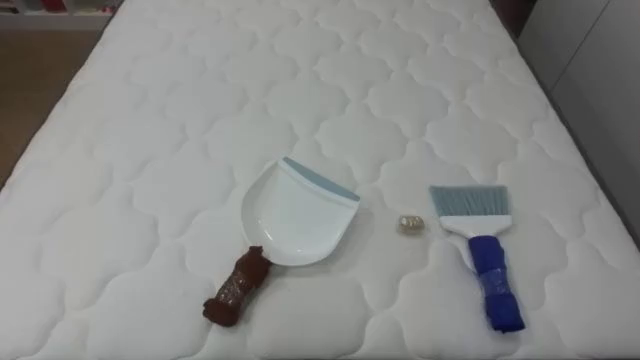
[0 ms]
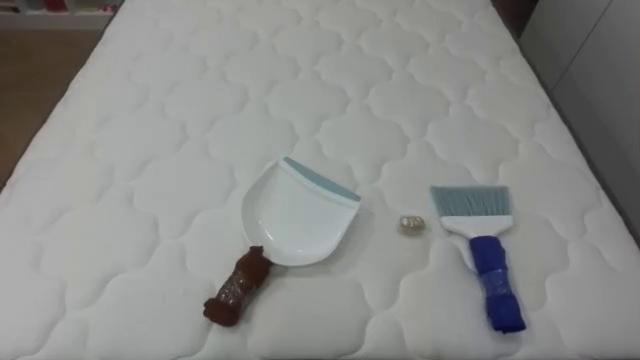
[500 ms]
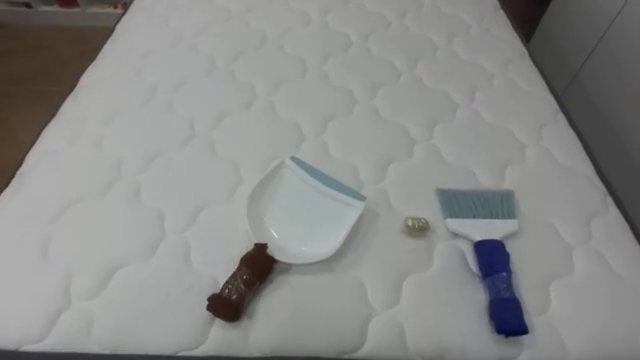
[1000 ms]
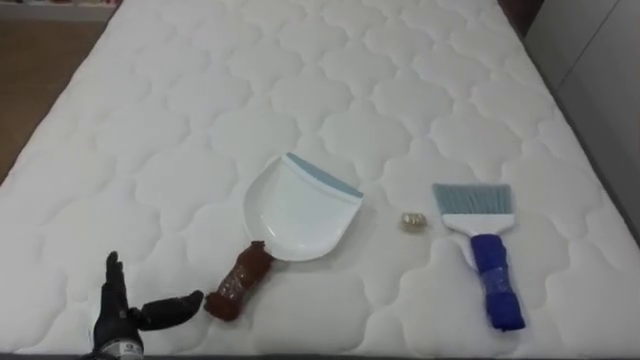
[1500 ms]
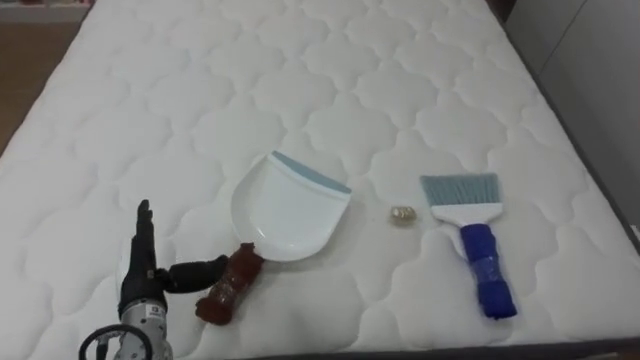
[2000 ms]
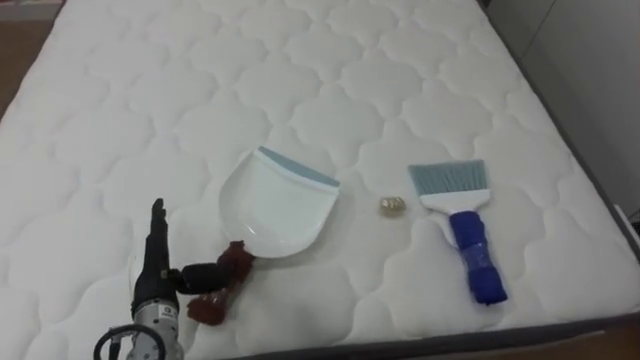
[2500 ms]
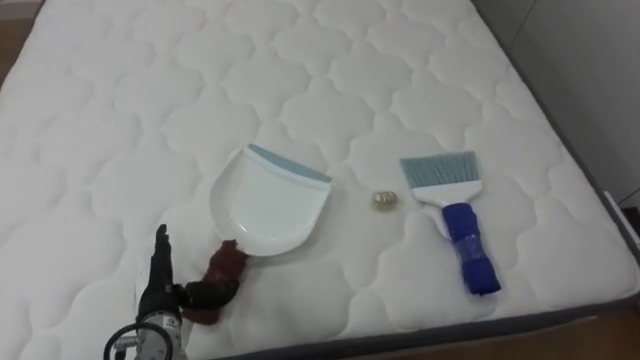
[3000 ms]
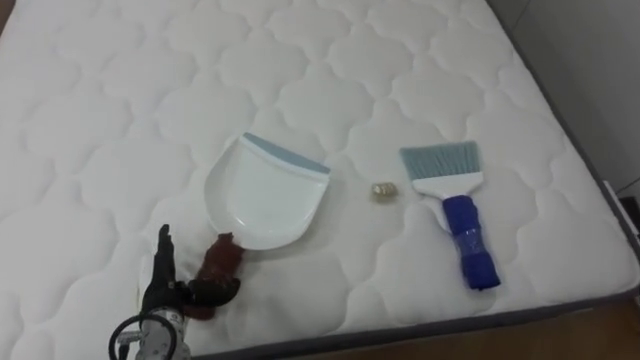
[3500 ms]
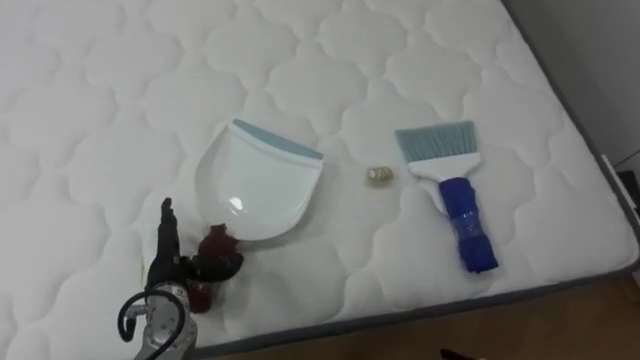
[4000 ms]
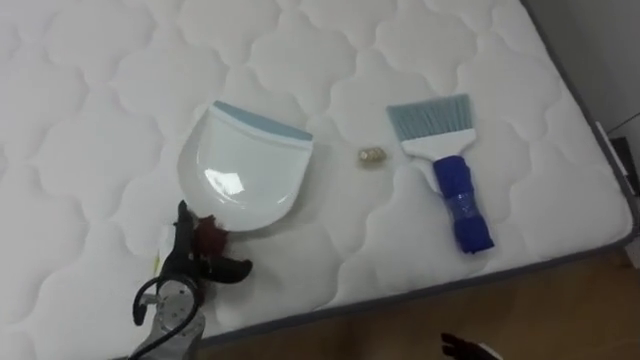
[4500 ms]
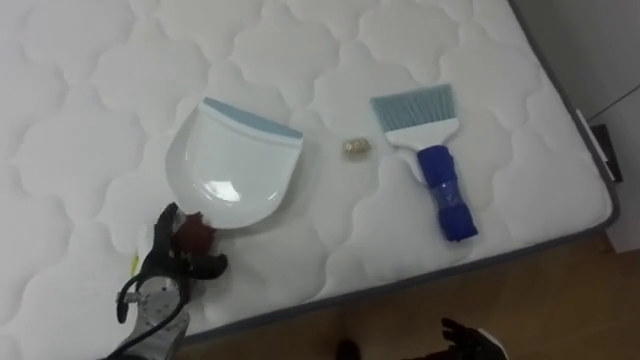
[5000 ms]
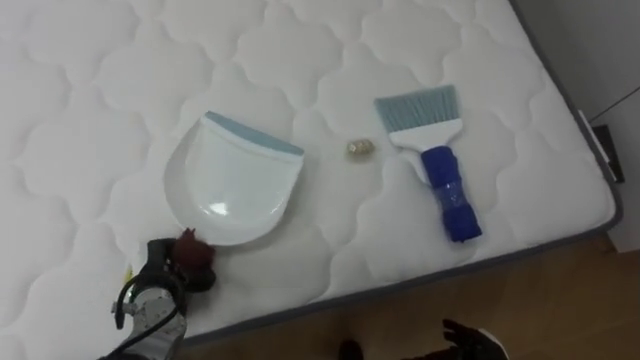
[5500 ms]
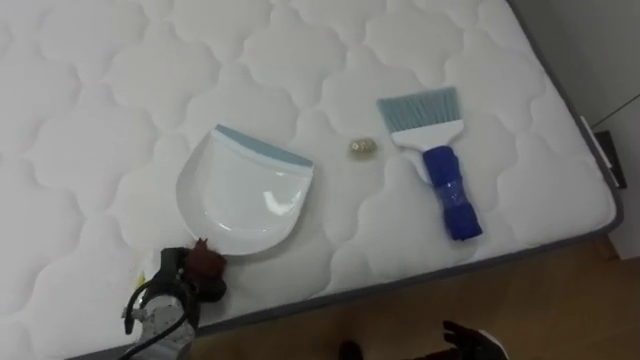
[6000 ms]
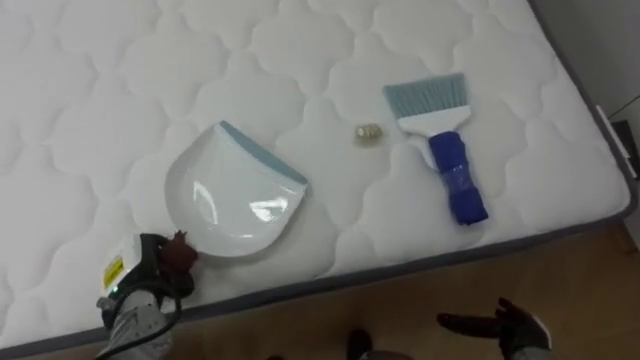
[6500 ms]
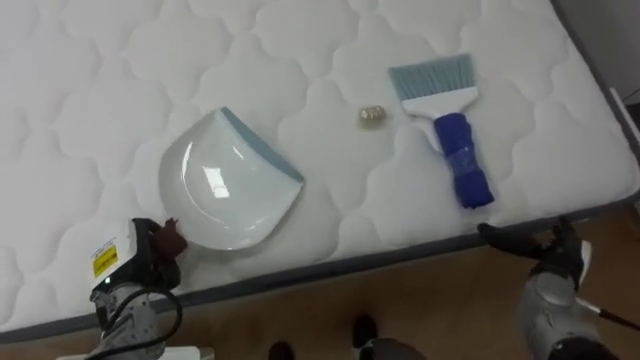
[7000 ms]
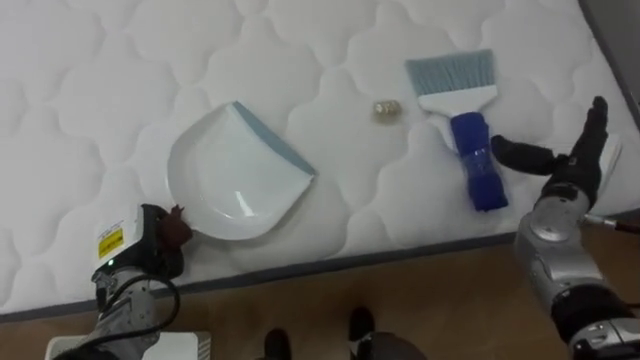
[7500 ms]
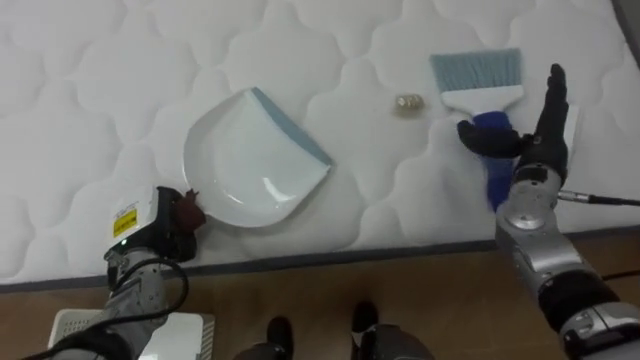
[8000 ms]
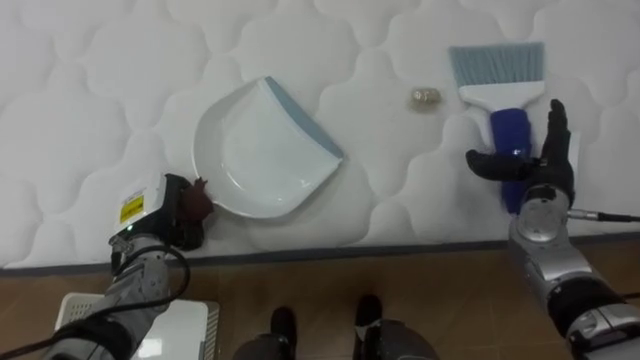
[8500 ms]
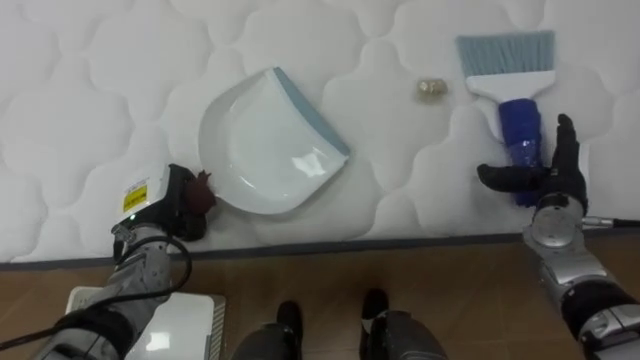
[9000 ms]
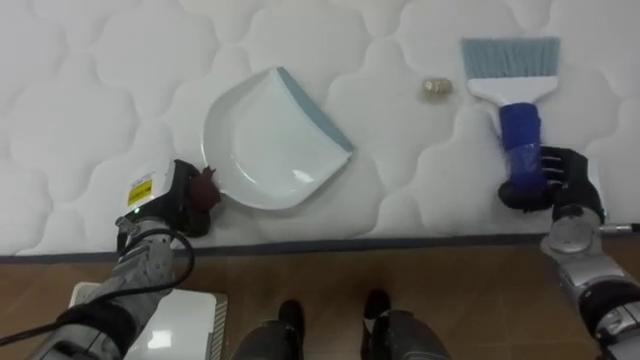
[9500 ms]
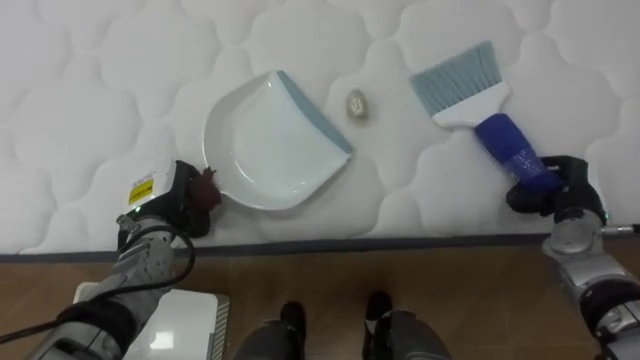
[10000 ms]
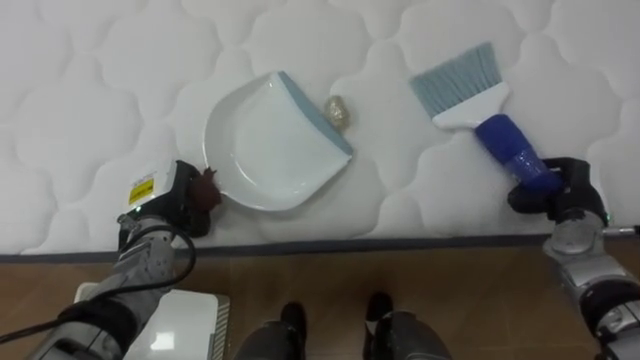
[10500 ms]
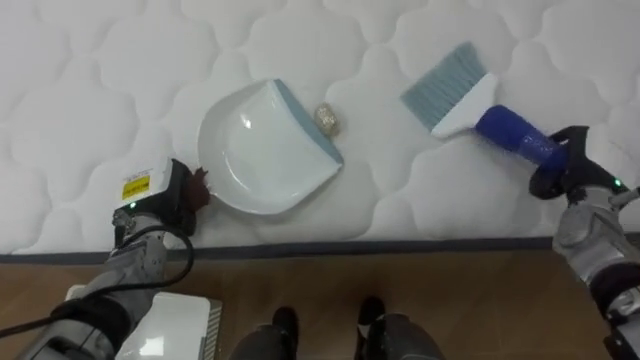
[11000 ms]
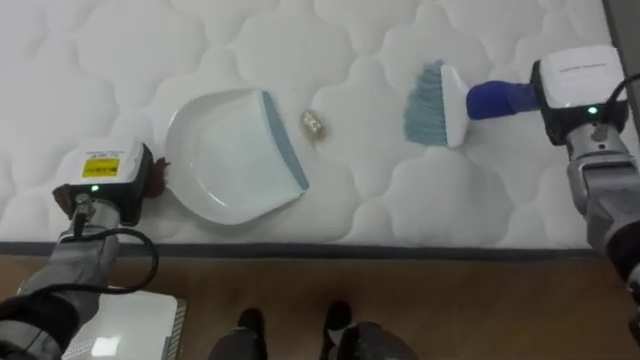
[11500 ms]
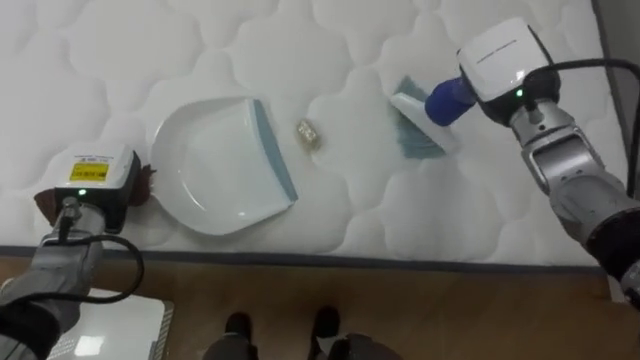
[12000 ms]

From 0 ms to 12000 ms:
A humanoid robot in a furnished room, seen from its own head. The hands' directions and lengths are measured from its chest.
Task of the whole recording: Pick up the brush on your right and the dustpan on your left. Use the brush to sweep the crumpled paper on the bed into the dustpan, then turn left and empty it into the basket.
From 4000 ms to 6000 ms: The left hand closes its fingers.
From 6000 ms to 8000 ms: The left hand moves upward and forward, about 10 cm.
From 8000 ms to 10000 ms: The right hand shifts roughly 10 cm downward and to the right, and closes up.
From 10000 ms to 12000 ms: The right hand travels upward, to the left and forward by roughly 20 cm. Meanwhile the left hand goes roughly 5 cm to the left.

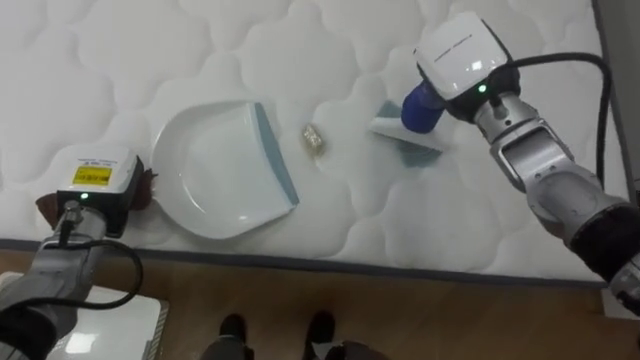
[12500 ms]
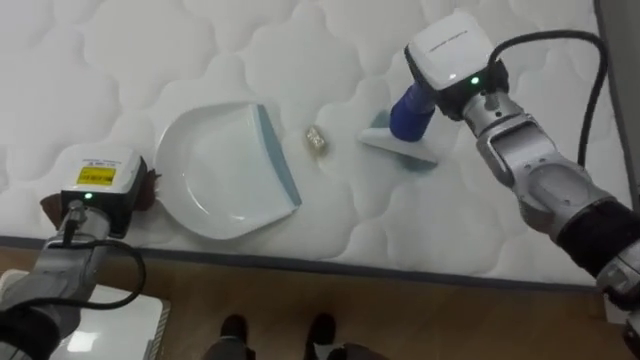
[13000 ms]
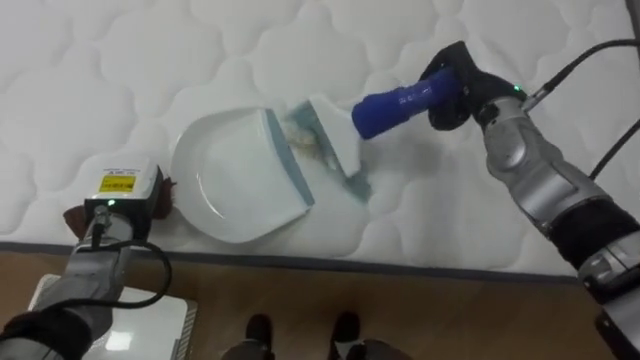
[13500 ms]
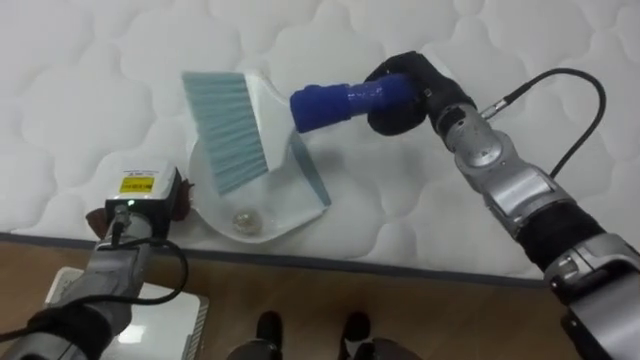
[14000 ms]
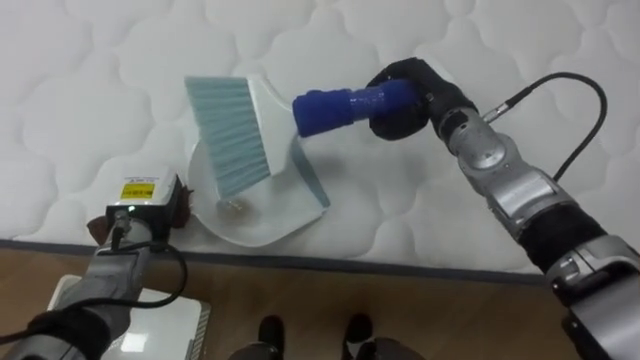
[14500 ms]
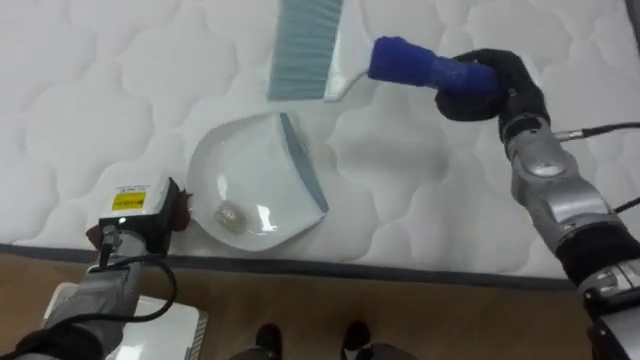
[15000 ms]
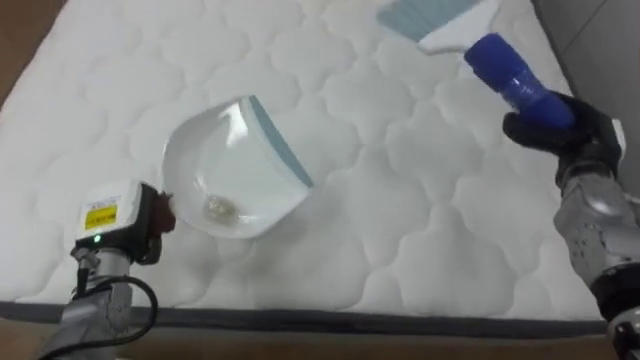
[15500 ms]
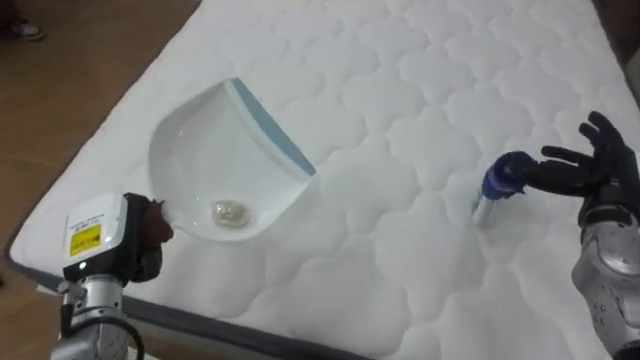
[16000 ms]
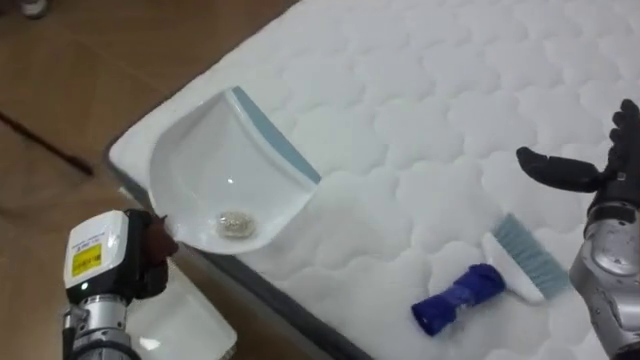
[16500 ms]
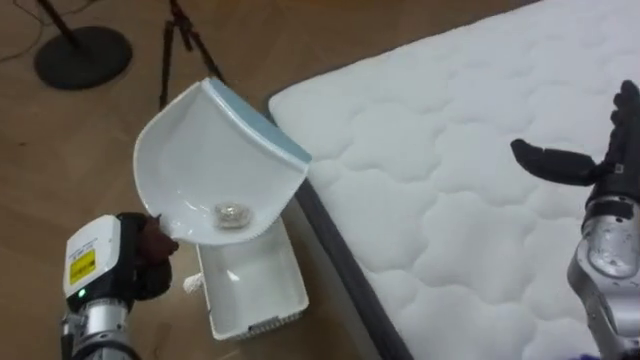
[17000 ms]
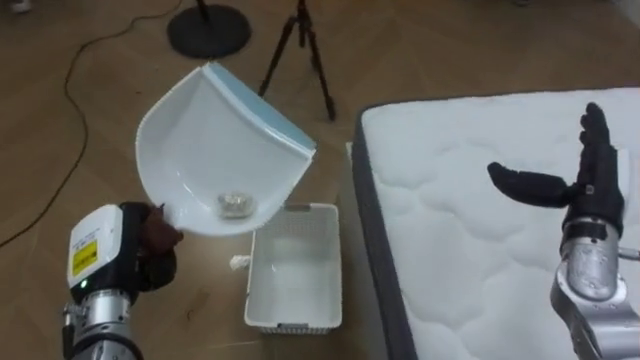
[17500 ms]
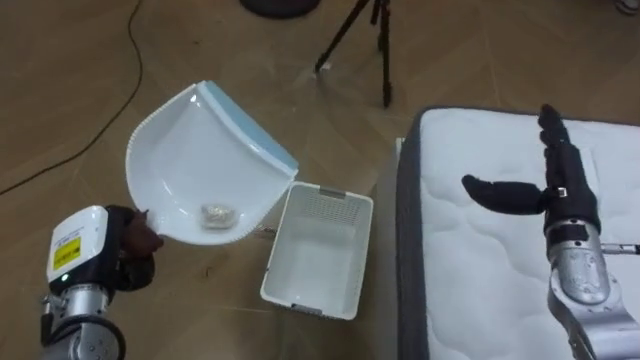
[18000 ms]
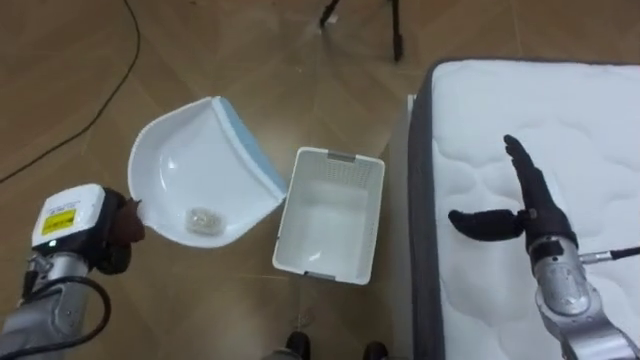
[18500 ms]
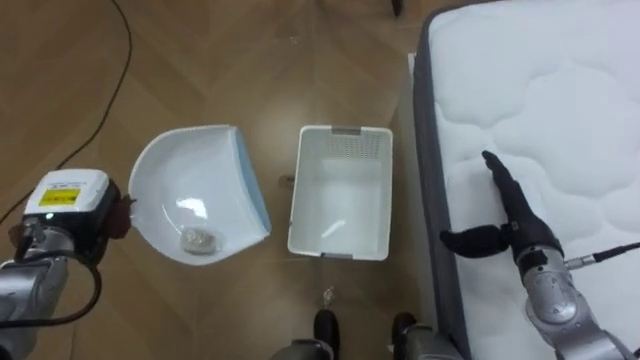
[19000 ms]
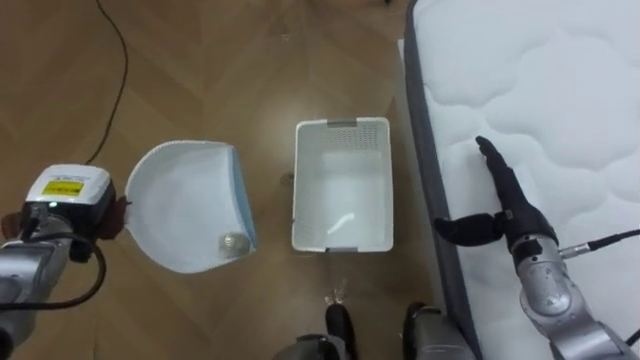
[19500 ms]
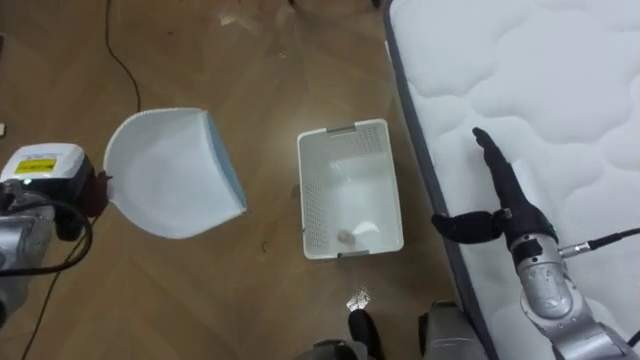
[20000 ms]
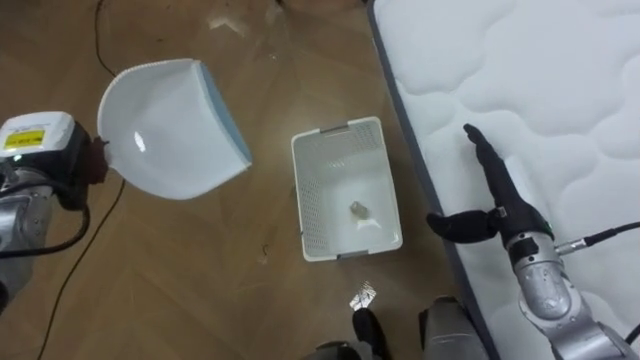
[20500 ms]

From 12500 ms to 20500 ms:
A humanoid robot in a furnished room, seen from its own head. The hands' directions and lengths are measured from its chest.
Task of the whole recording: Pick up the brush on your right and the dustpan on your left. Use the brush to sweep the crumpled paper on the bed into the dustpan, then turn left and empty it into the basket.
From 12500 ms to 14500 ms: The right hand moves downward, approximately 5 cm, while the left hand moves roughly 5 cm.
From 14500 ms to 16500 ms: The robot faces approximately 25 degrees further to its left. The right hand heads to the right and backward, covering about 25 cm, and opens up; the left hand goes some 10 cm backward.
From 16500 ms to 18500 ms: The robot rotates approximately 65 degrees to its left. The left hand moves about 5 cm. Meanwhile the right hand goes approximately 10 cm to the left and downward.
From 18500 ms to 20500 ms: The left hand moves upward and forward, about 10 cm.
